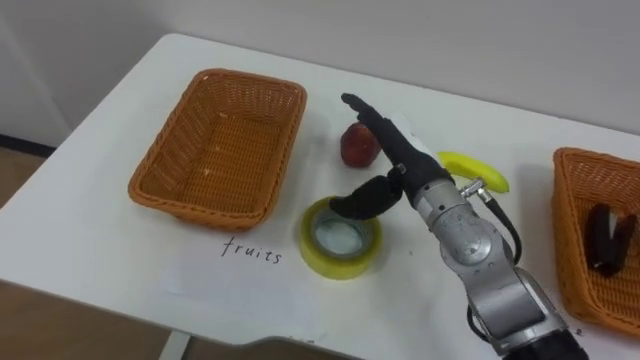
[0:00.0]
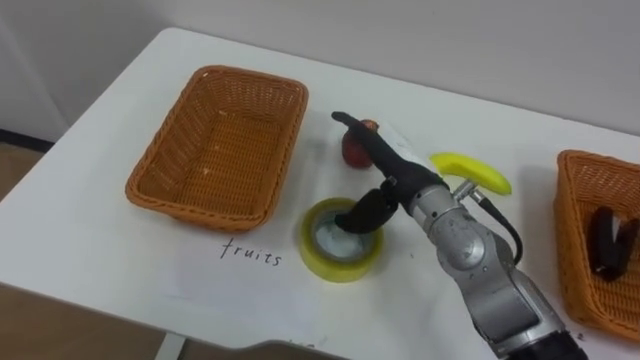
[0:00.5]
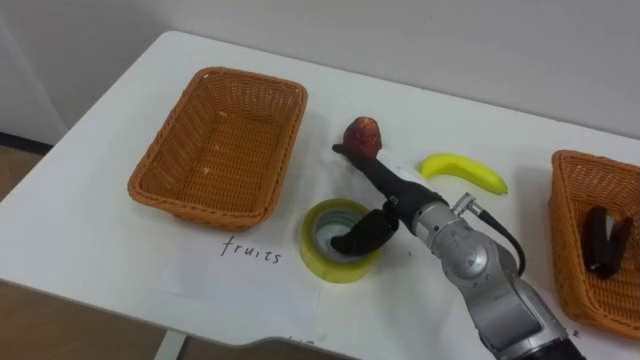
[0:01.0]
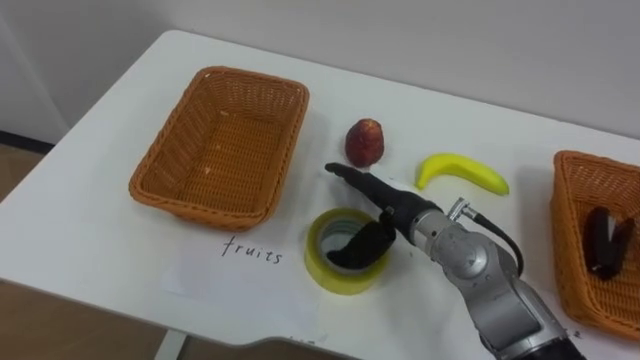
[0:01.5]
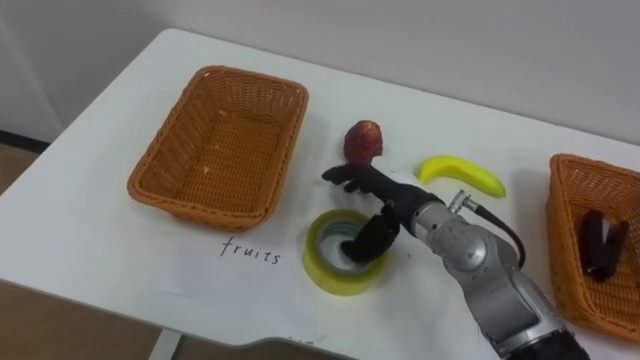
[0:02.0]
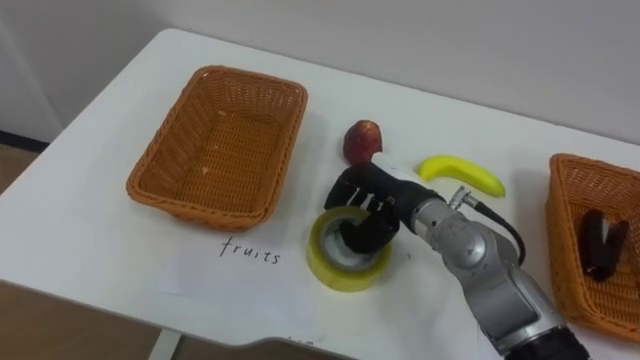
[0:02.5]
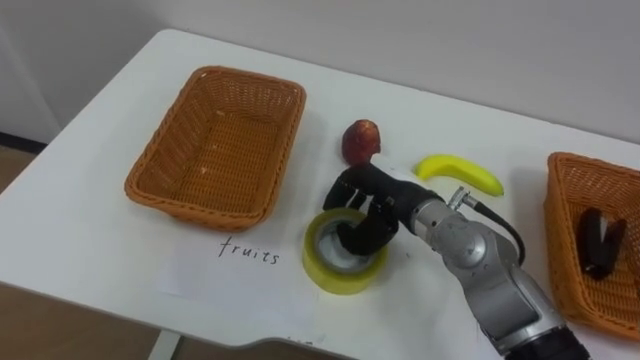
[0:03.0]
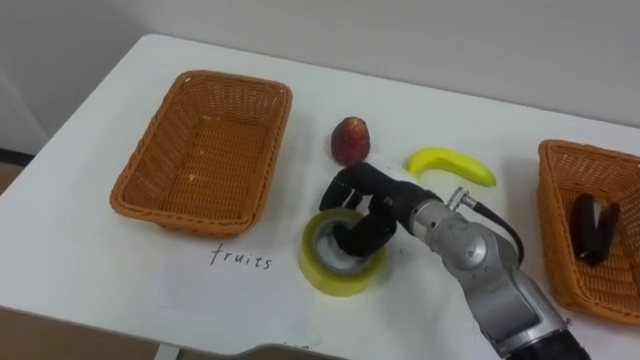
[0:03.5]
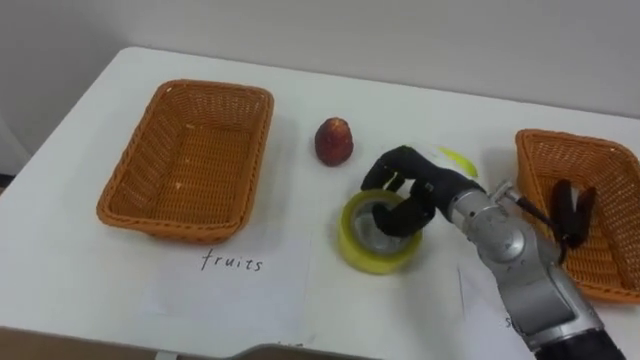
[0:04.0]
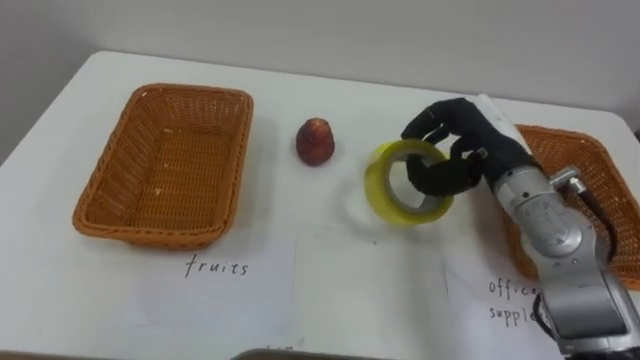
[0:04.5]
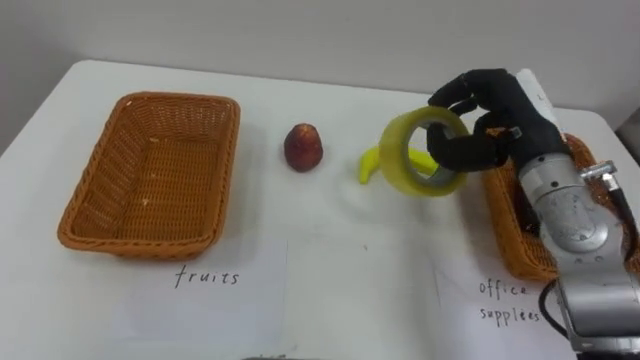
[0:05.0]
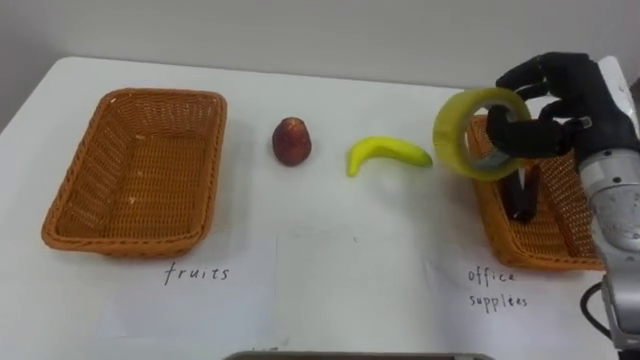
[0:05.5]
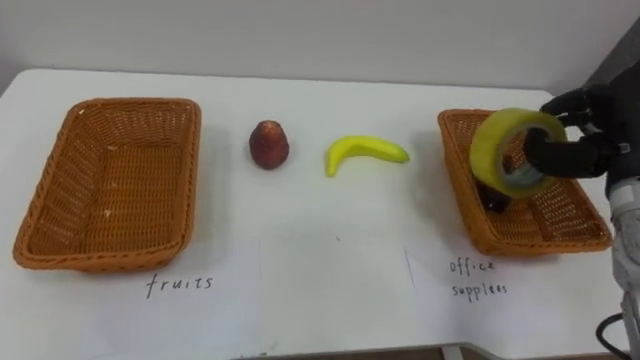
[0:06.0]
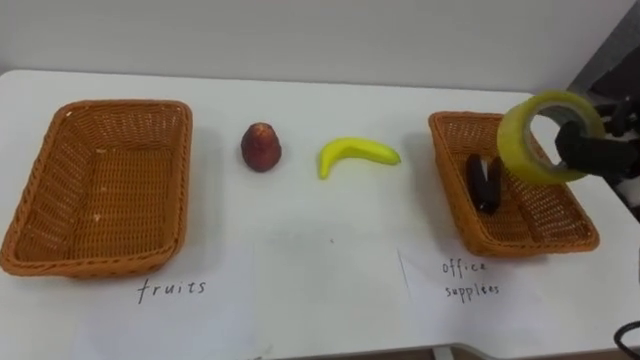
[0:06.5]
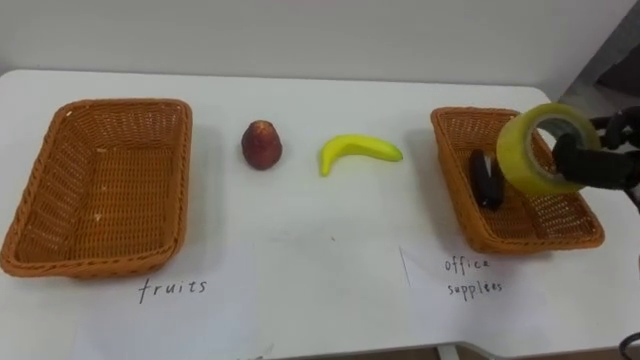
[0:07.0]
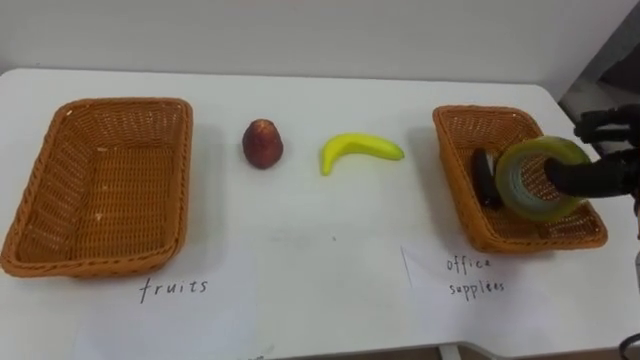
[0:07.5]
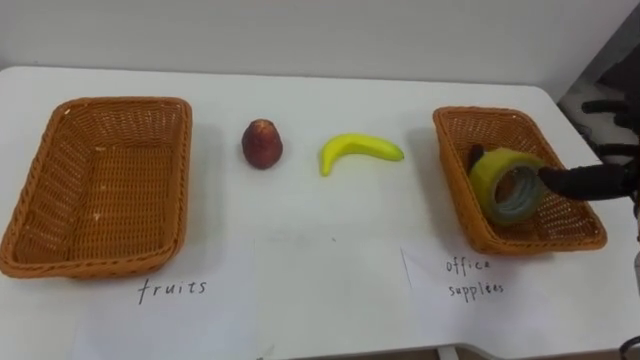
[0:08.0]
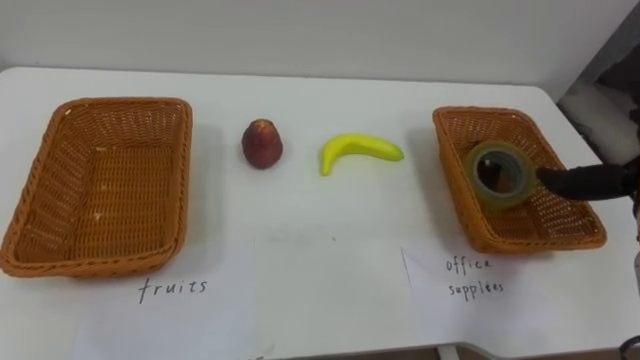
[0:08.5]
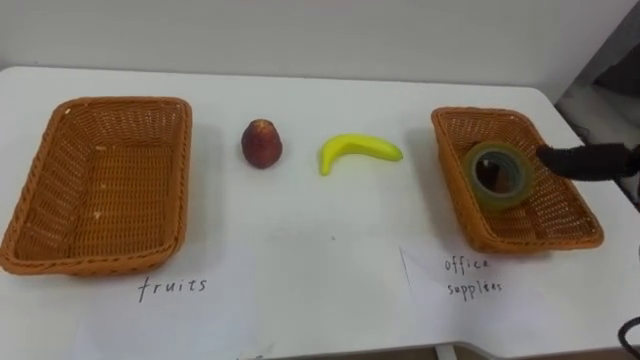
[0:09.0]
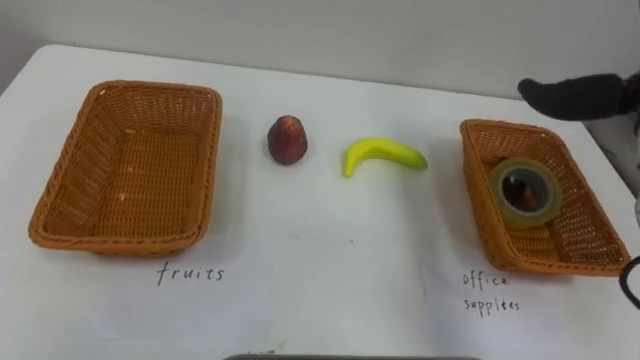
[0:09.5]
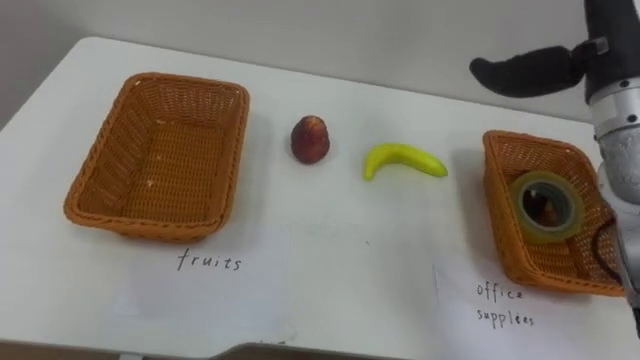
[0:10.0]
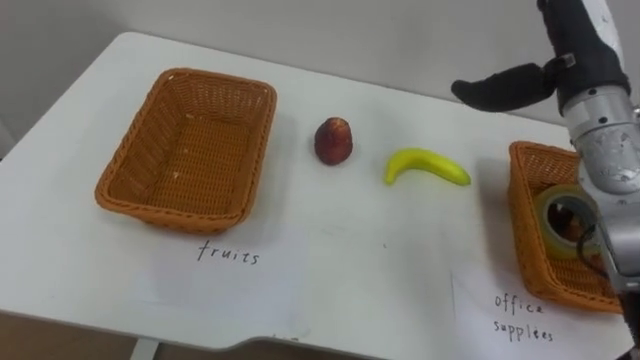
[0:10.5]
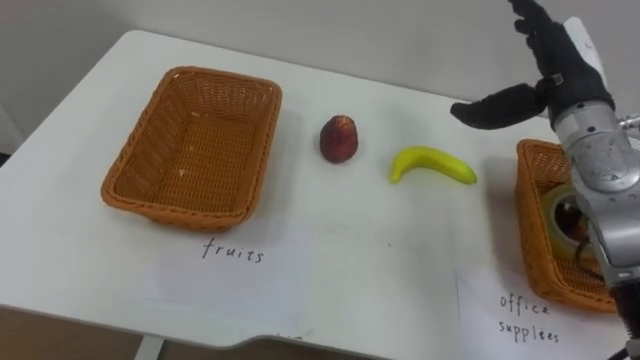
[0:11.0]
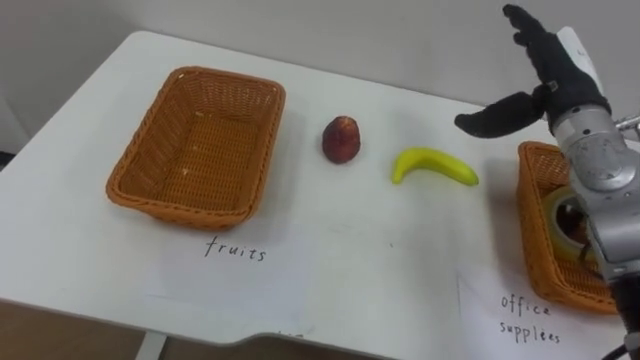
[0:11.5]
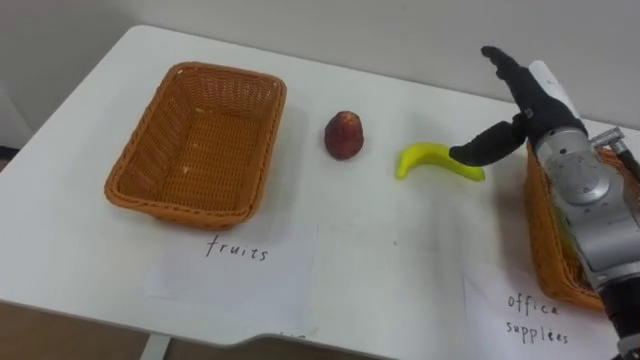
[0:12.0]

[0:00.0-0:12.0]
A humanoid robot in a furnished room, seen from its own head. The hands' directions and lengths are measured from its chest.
Task of the whole recording: Separate the items on the table and place them into the two baskets.
0.0 to 2.0 s: The right hand goes approximately 5 cm downward.
2.0 to 4.0 s: The right hand ends up roughly 5 cm from where it was, and closes.
4.0 to 6.0 s: The right hand travels to the right by about 20 cm.
10.0 to 12.0 s: The right hand is displaced downward by some 10 cm.

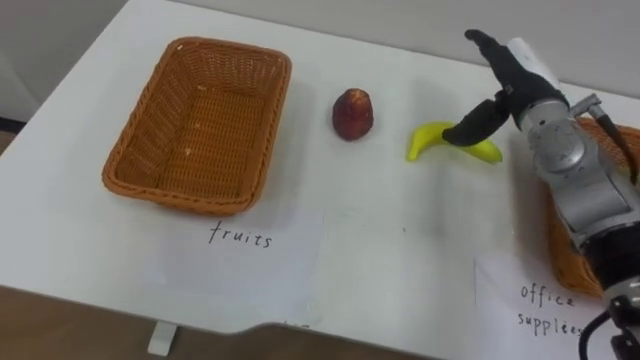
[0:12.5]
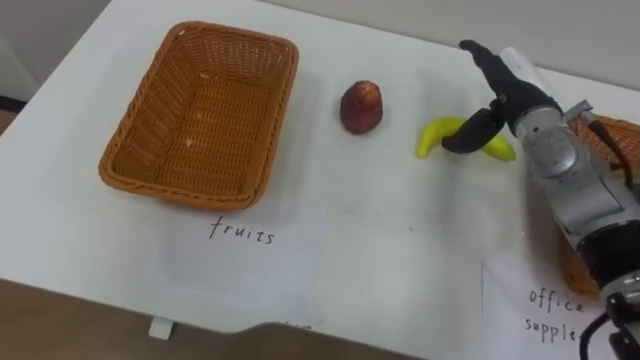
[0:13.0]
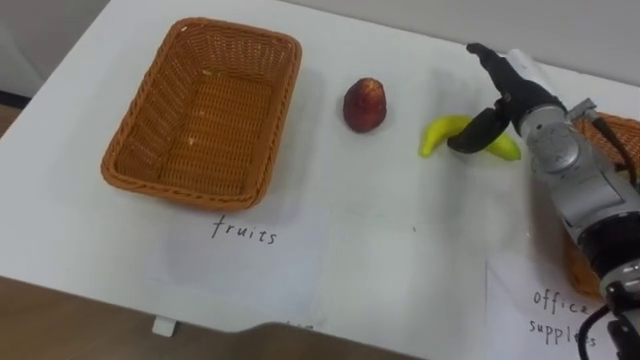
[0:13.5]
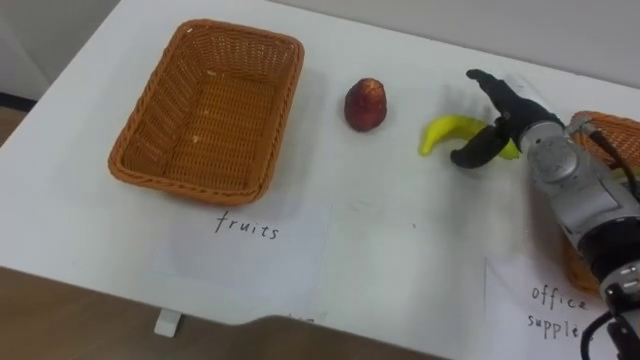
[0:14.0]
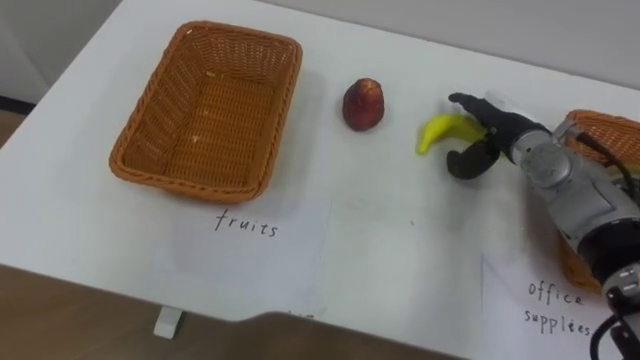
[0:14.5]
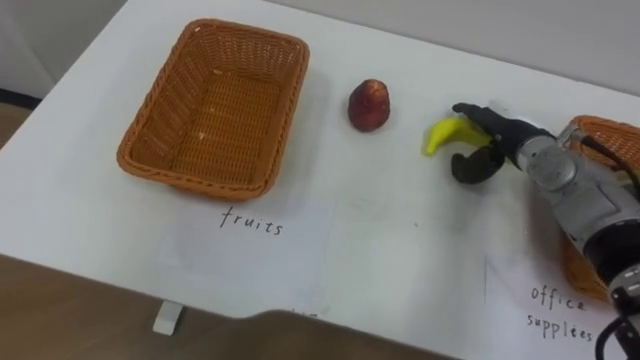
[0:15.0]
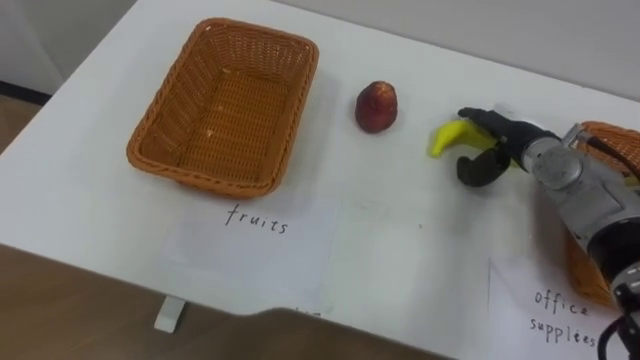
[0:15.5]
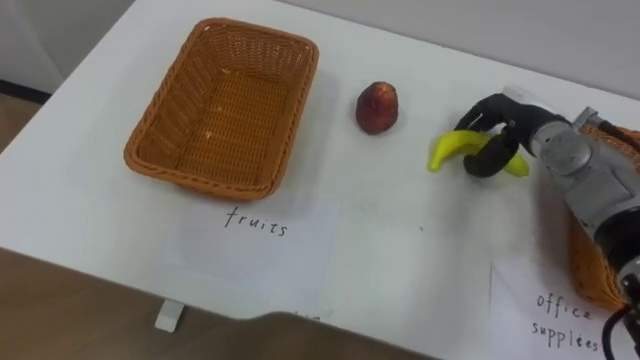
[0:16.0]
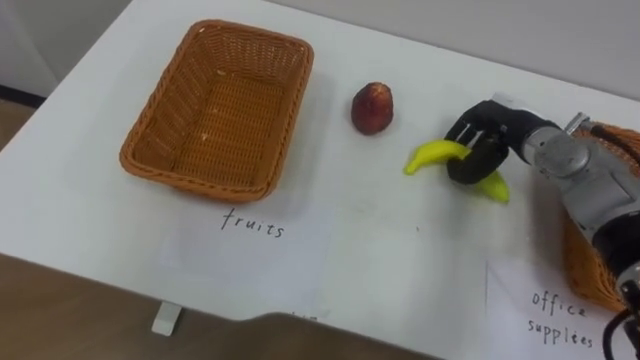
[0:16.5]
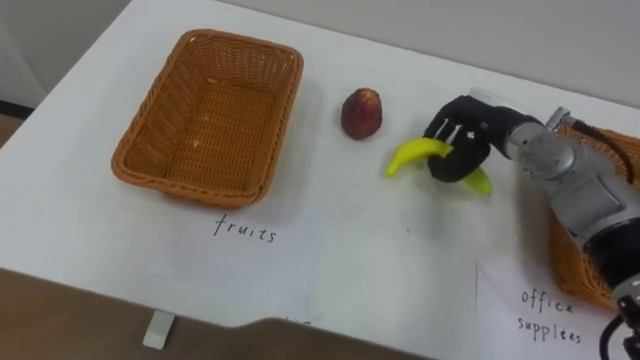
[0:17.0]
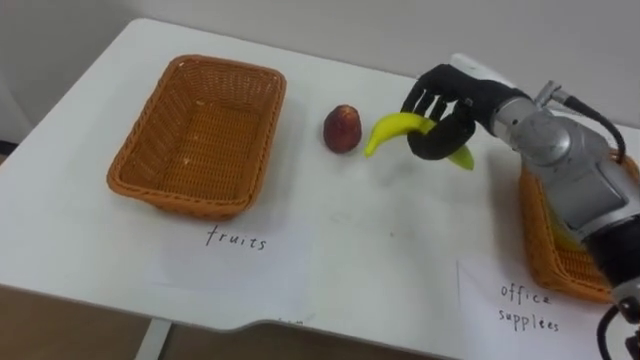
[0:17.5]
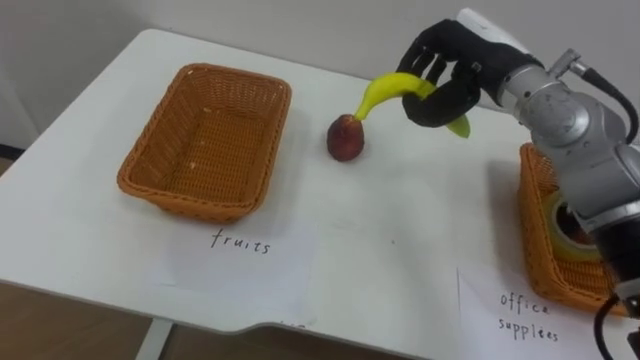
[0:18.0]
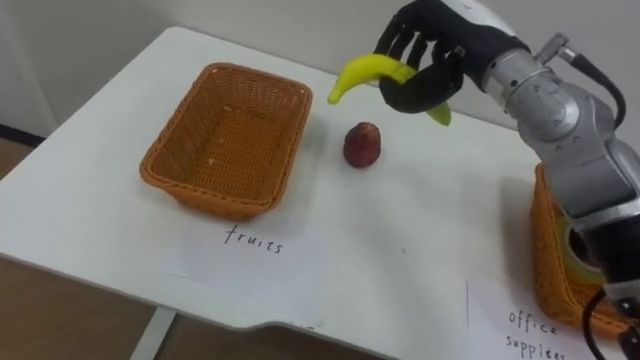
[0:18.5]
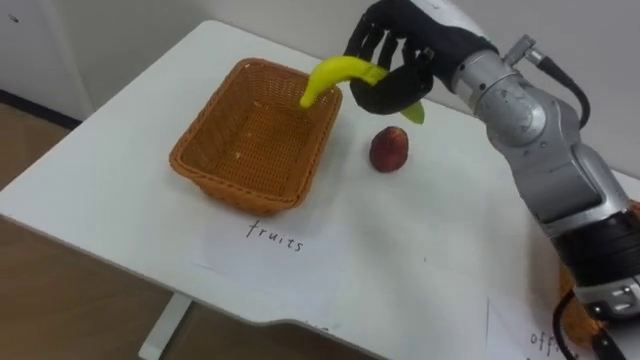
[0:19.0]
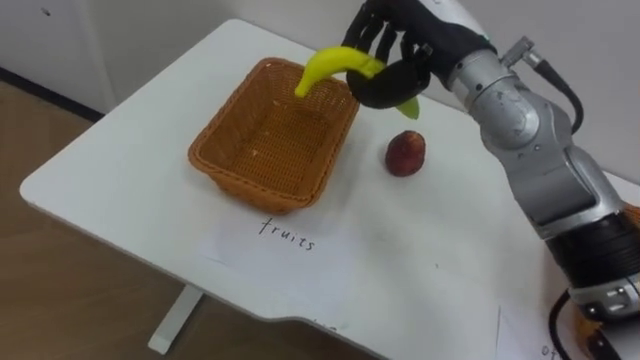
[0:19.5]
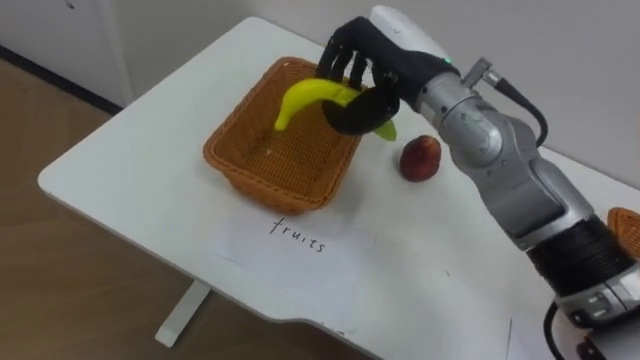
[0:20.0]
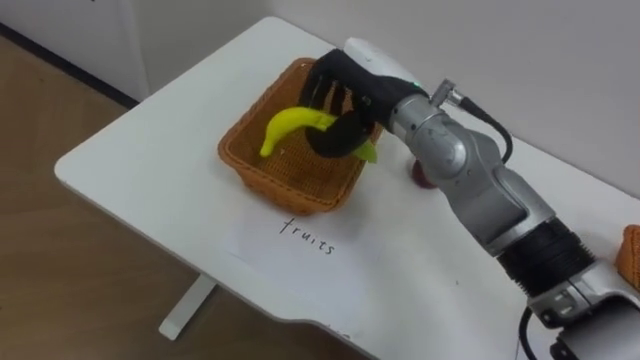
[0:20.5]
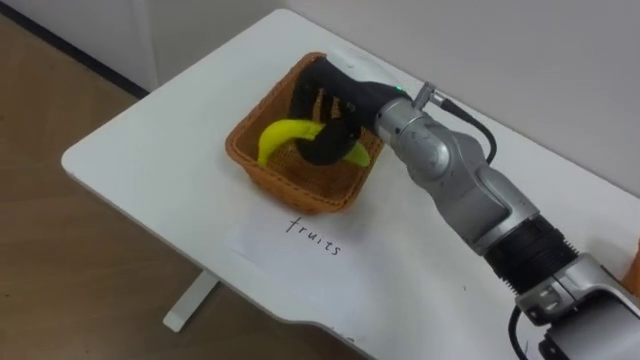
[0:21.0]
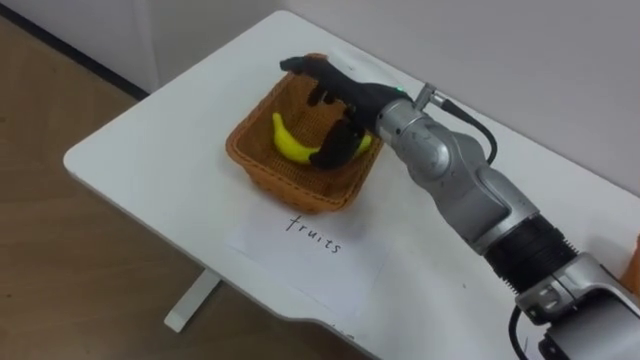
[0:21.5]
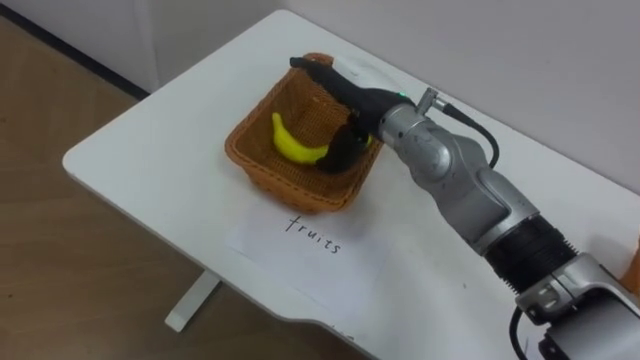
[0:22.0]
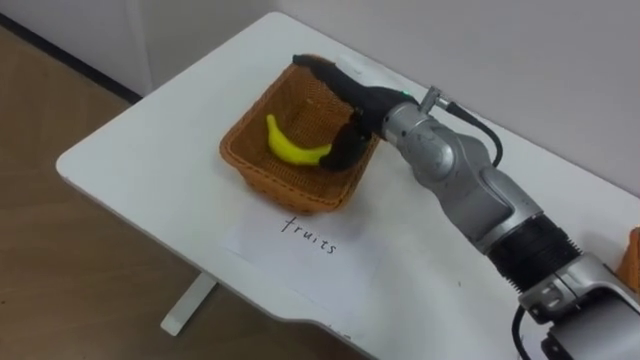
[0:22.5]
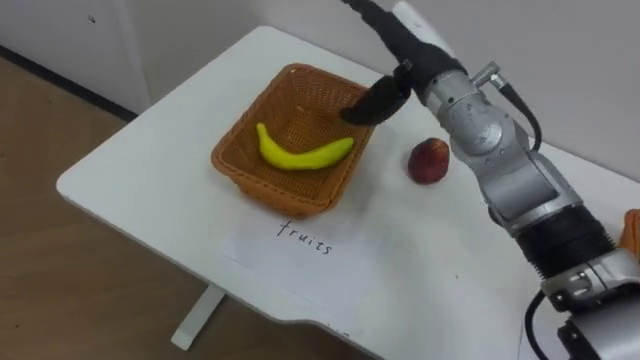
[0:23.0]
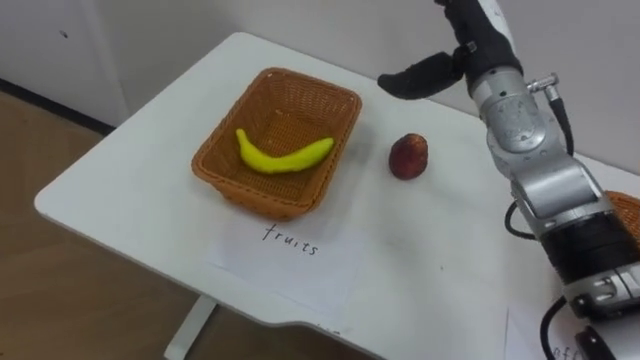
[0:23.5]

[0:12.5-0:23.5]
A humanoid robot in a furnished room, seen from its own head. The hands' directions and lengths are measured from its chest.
Task of the whole recording: Separate the items on the table and place them into the two baskets.
12.5 to 14.5 s: The right hand shifts approximately 5 cm downward.
14.5 to 16.0 s: The right hand closes up.
16.0 to 18.0 s: The right hand goes roughly 15 cm upward and to the left, and closes its fingers.
18.0 to 20.0 s: The right hand travels to the left by about 10 cm.
20.0 to 21.5 s: The right hand moves about 5 cm, and opens up.
21.5 to 23.5 s: The right hand goes some 15 cm to the right.
